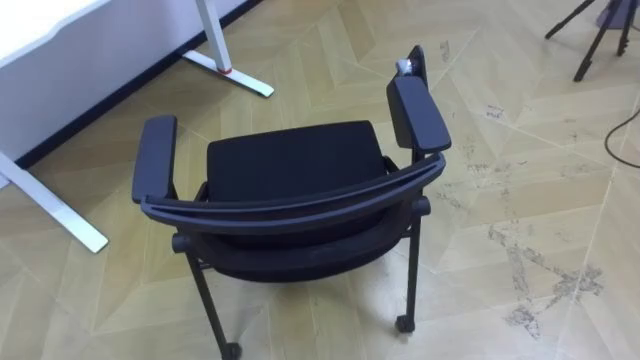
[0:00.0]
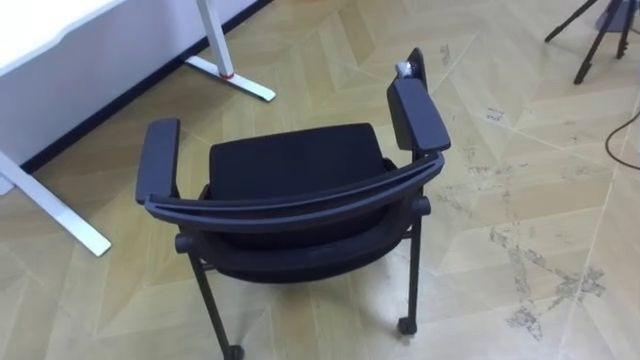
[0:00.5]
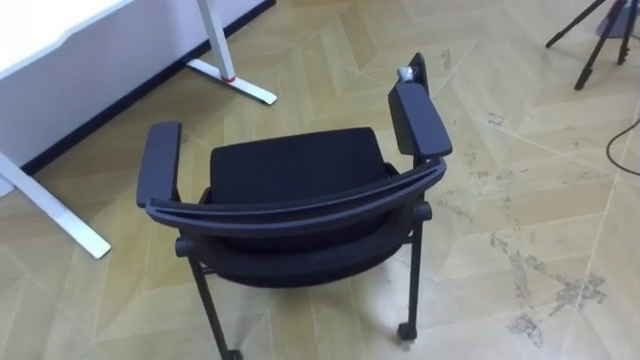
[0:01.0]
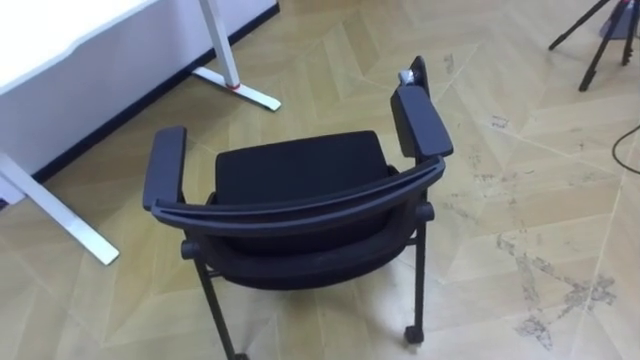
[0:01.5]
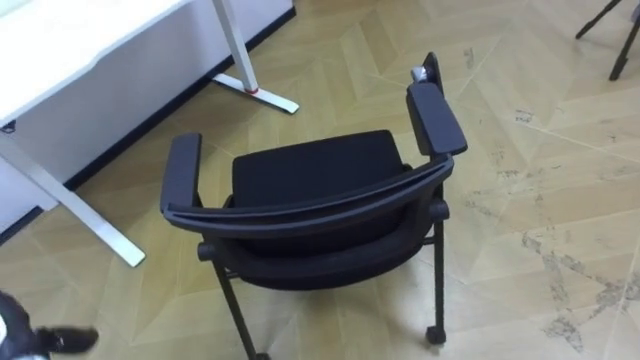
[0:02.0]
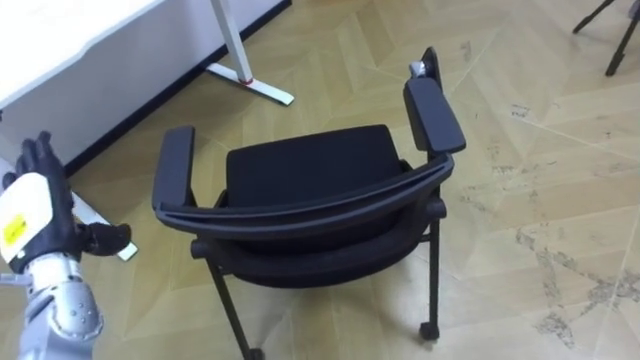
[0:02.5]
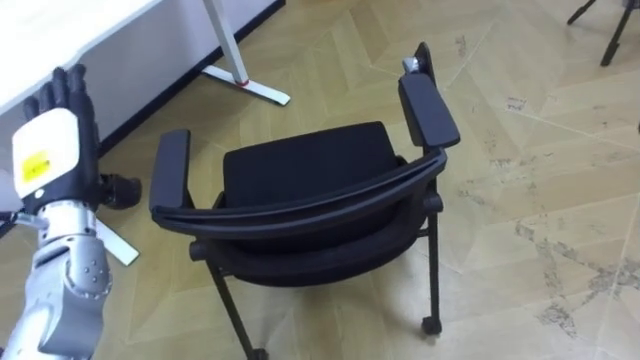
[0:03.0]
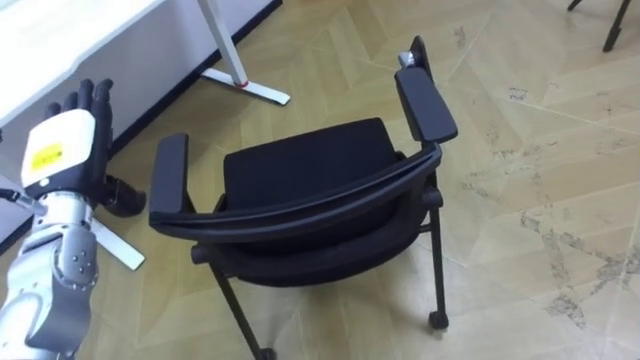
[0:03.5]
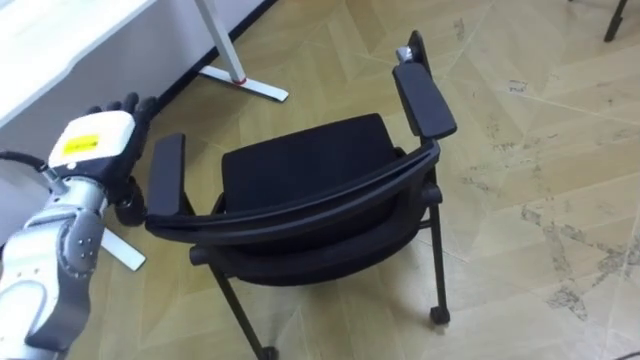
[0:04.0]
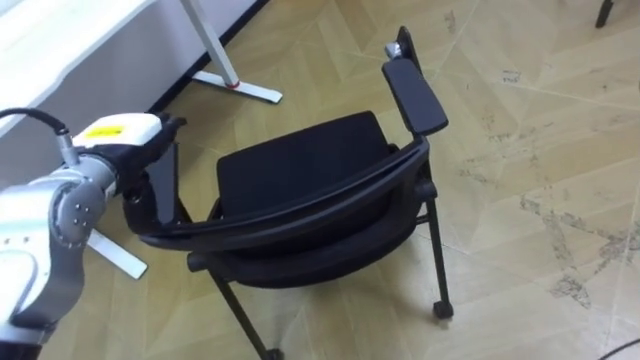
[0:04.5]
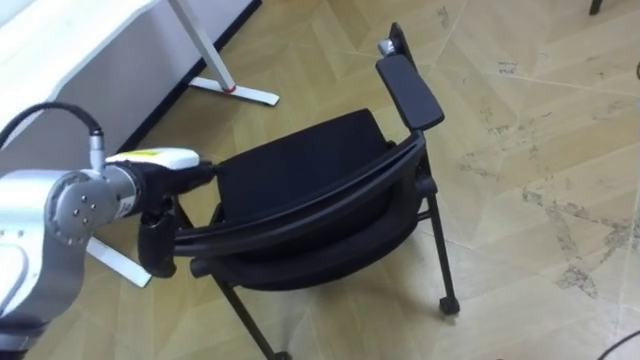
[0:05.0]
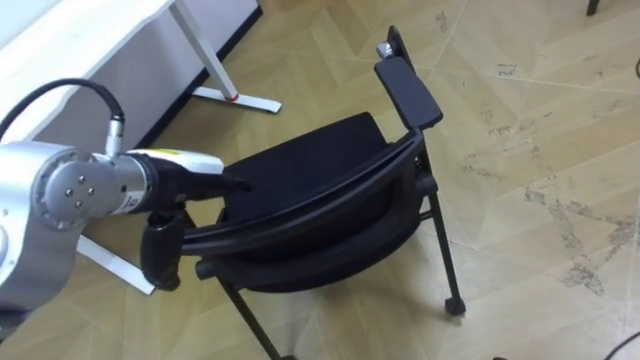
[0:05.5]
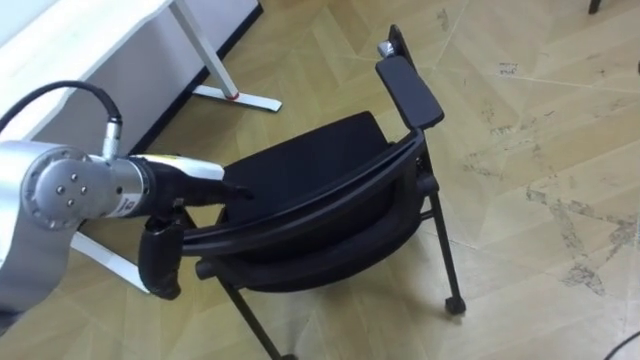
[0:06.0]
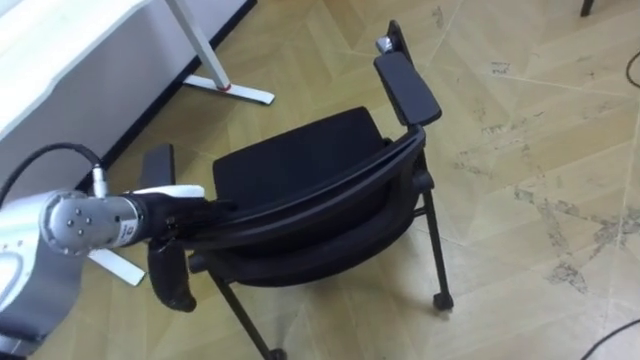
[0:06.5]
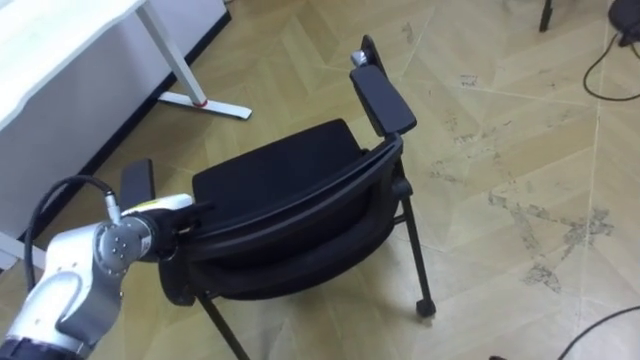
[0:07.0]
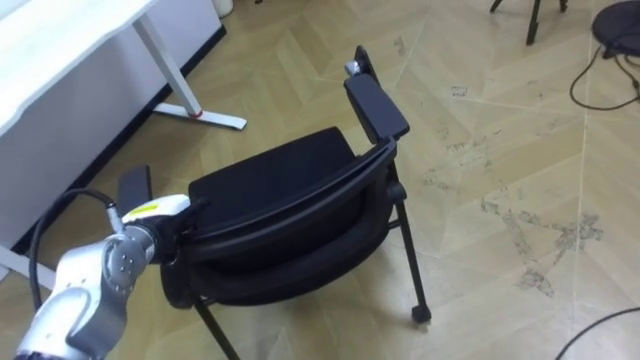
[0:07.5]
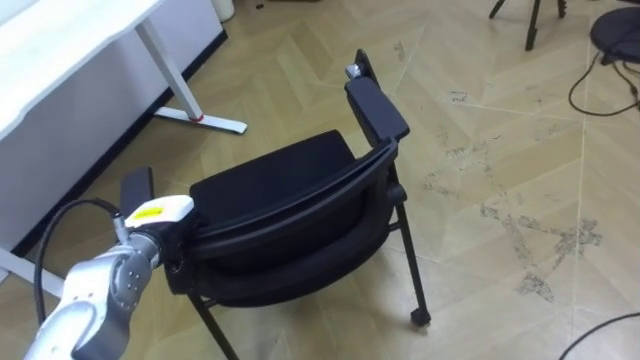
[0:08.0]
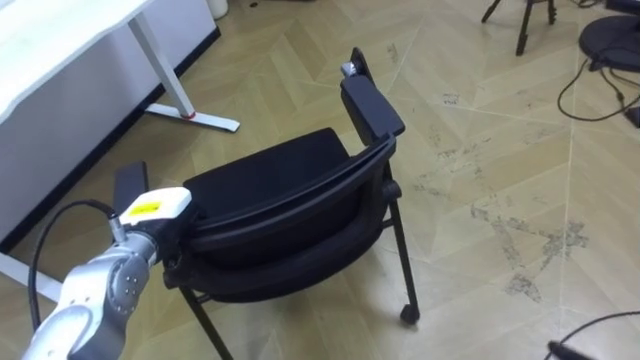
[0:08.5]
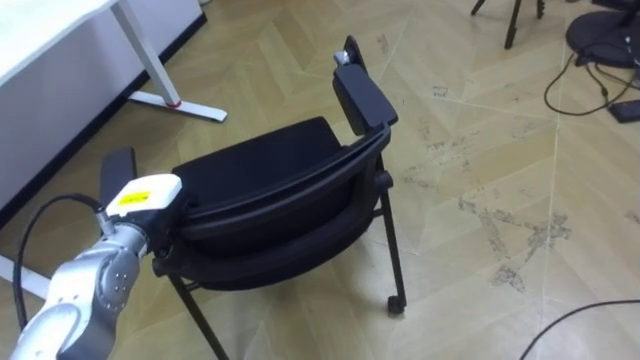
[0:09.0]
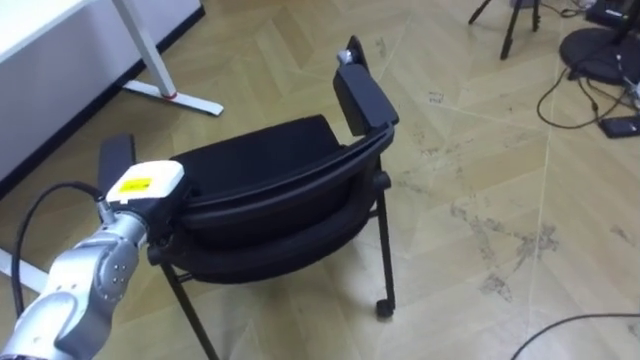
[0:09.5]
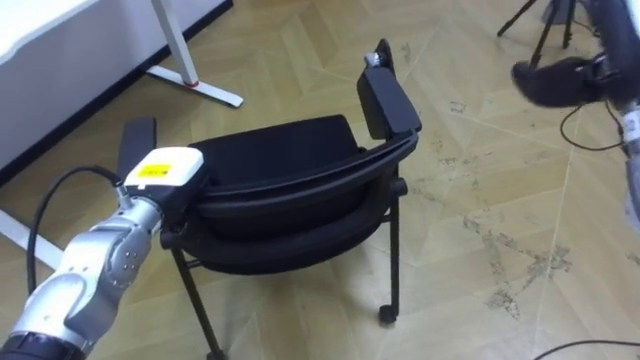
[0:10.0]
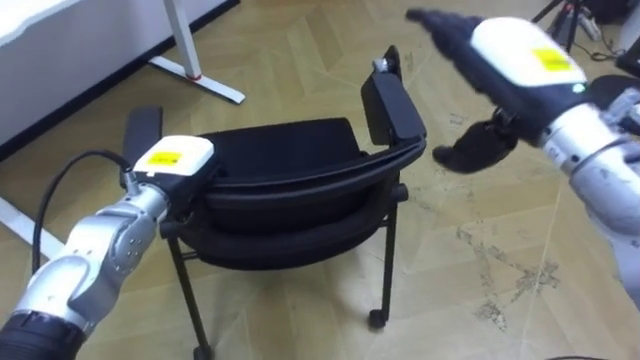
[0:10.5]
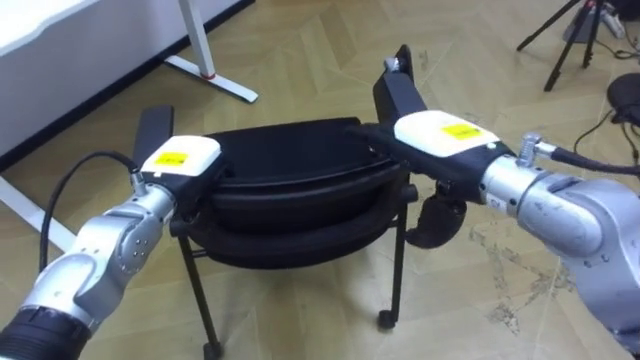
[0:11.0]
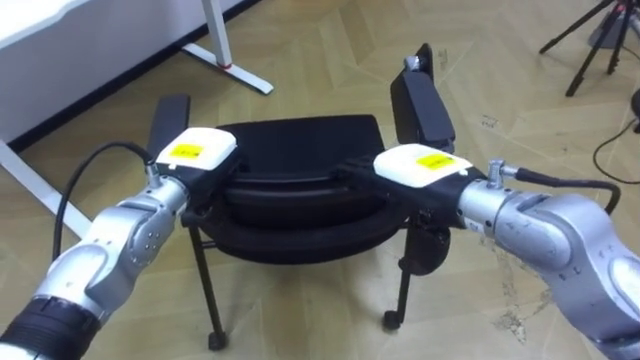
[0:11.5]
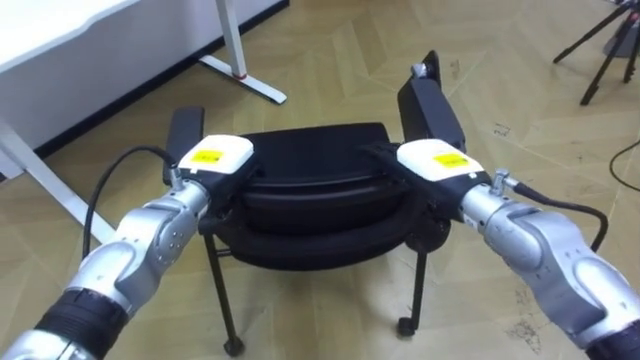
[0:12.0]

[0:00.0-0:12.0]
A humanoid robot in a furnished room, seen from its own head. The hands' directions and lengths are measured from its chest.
Task of the whole recording: Push the chair under the table.
0:02.0 to 0:04.0: The left hand goes about 25 cm upward, forward and to the right.
0:04.0 to 0:06.0: The left hand goes some 10 cm to the right and backward.
0:06.0 to 0:08.0: The left hand heads downward, covering roughly 15 cm, and closes its fingers.
0:08.0 to 0:10.0: The left hand ends up approximately 5 cm from where it was.
0:10.0 to 0:12.0: The left hand moves to the right, some 5 cm; the right hand is displaced downward and to the left by approximately 25 cm.

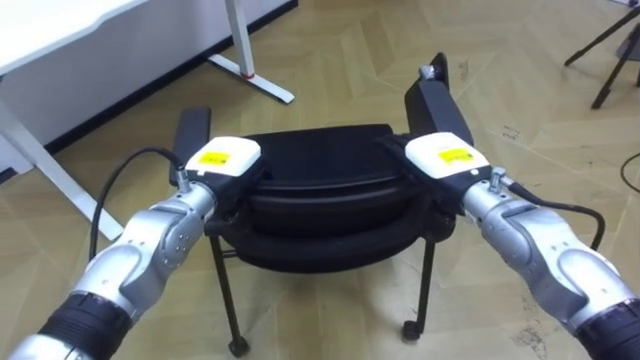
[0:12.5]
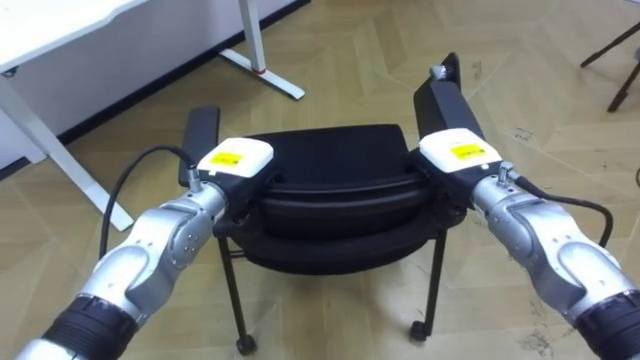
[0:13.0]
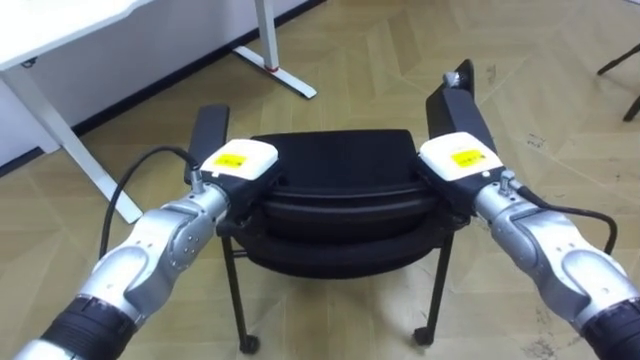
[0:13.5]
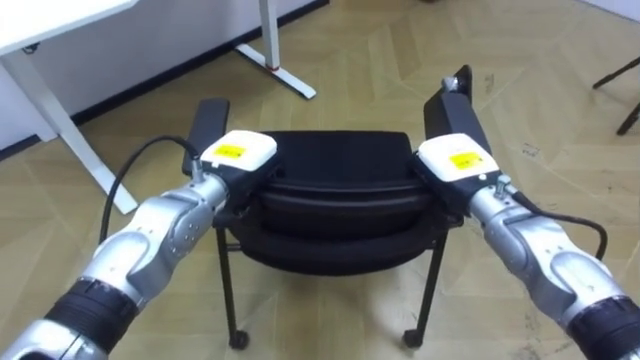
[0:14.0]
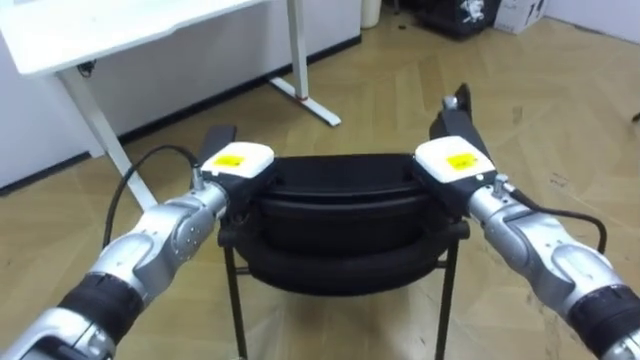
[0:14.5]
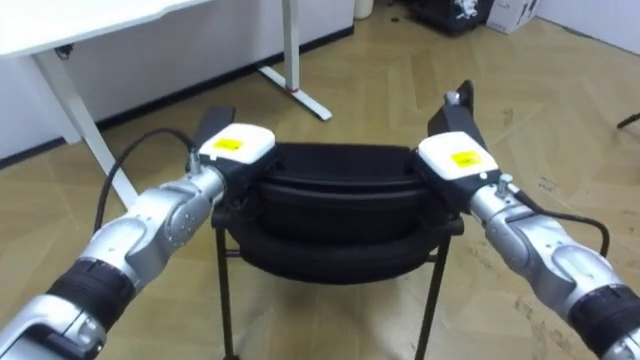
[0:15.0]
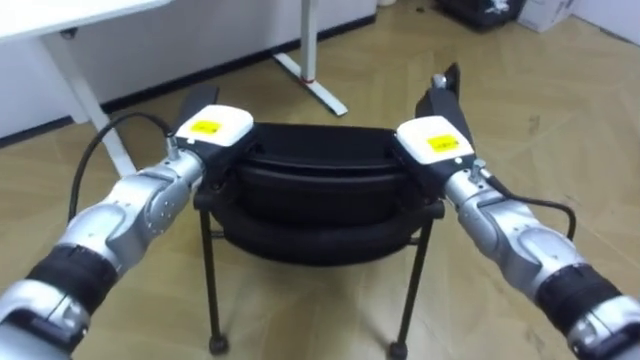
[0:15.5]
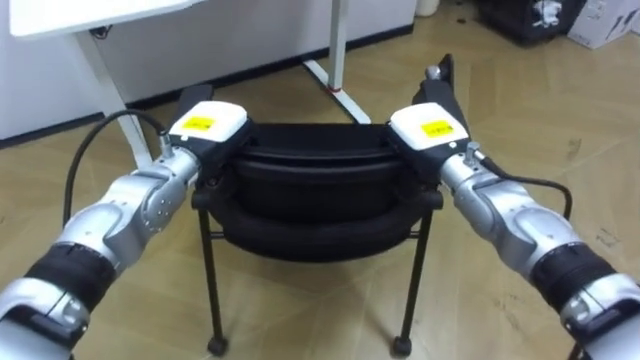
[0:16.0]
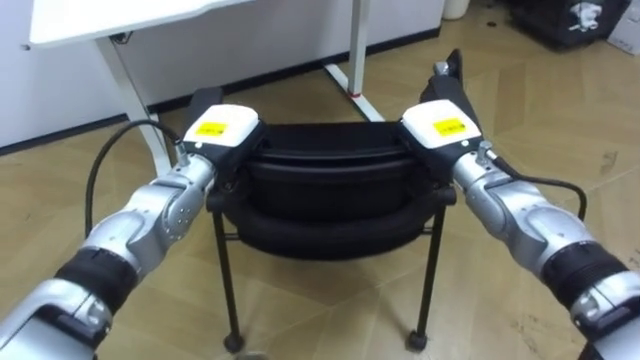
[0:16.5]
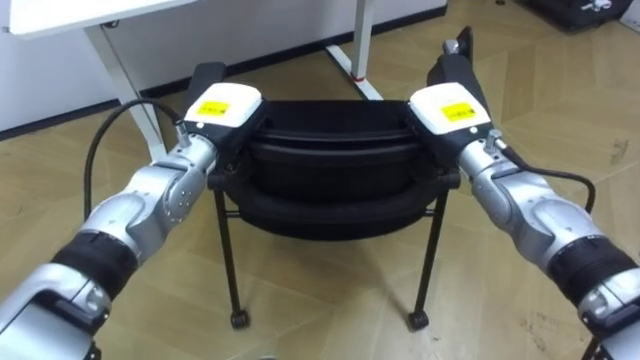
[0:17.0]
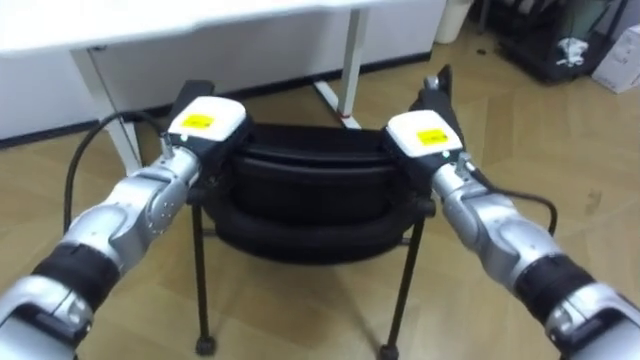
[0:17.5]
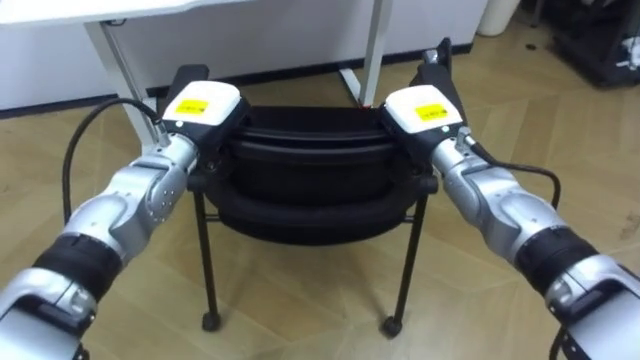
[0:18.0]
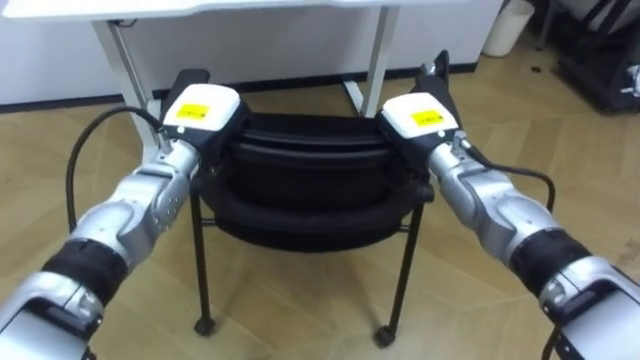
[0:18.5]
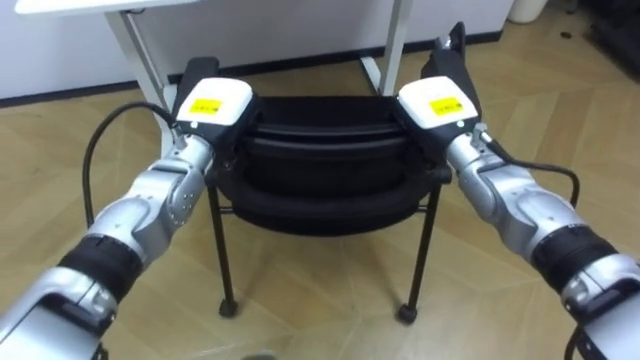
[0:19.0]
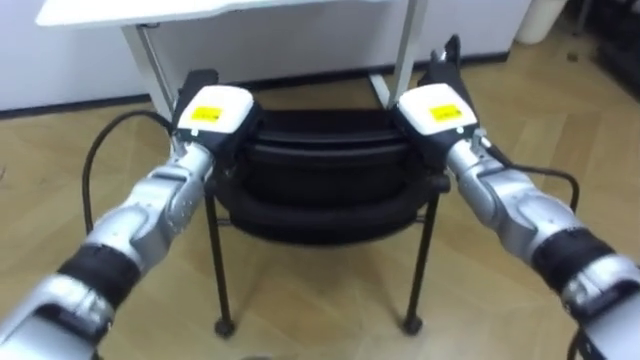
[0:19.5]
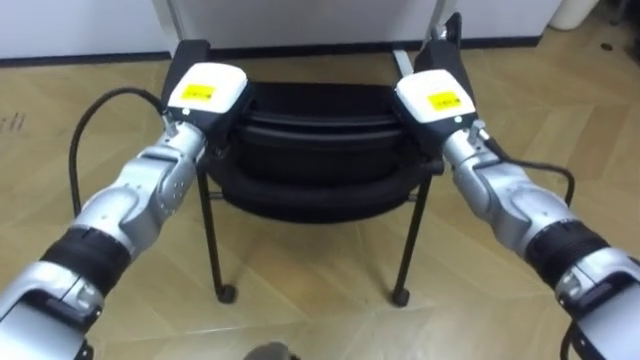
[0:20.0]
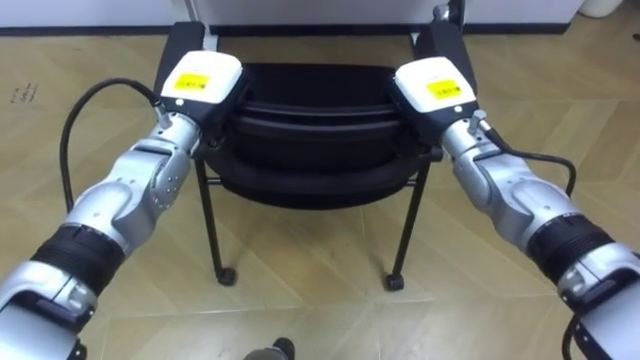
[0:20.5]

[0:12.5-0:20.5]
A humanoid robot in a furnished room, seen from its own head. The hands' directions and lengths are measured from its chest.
Task of the whole recording: Push the chair under the table.
0:12.5 to 0:14.5: The right hand closes.
0:14.5 to 0:16.5: The right hand ends up about 5 cm from where it was.
0:18.5 to 0:20.5: The left hand changes place by approximately 5 cm.
